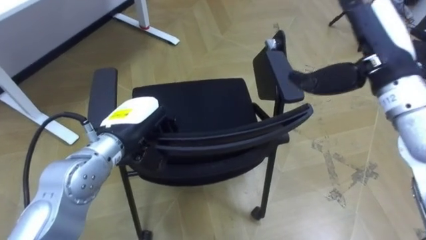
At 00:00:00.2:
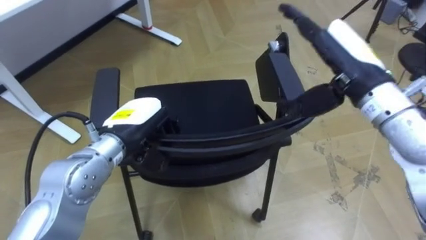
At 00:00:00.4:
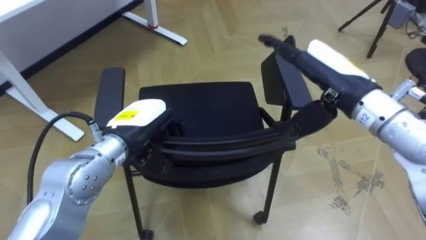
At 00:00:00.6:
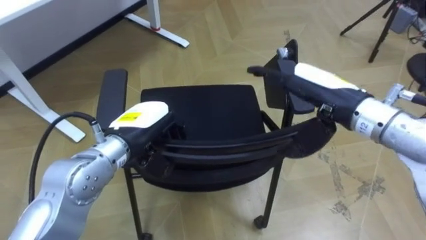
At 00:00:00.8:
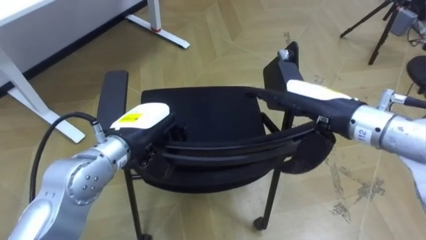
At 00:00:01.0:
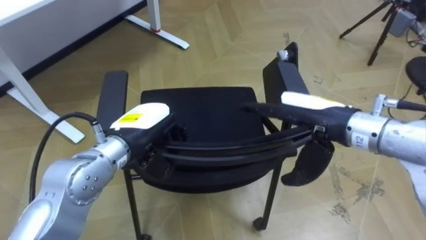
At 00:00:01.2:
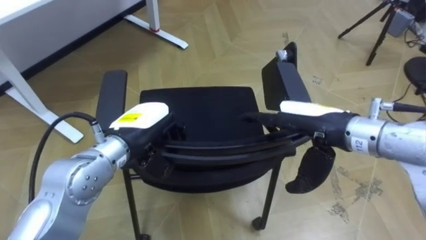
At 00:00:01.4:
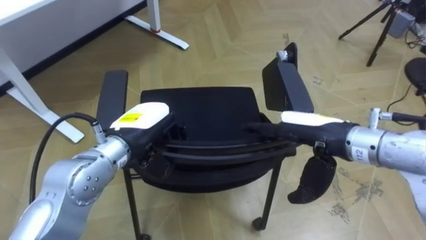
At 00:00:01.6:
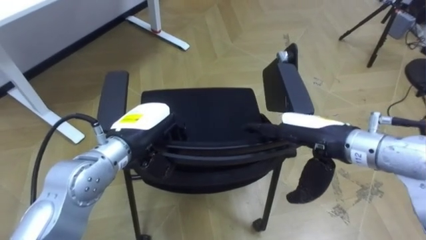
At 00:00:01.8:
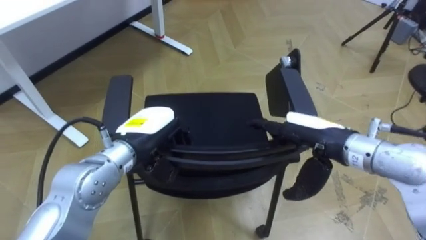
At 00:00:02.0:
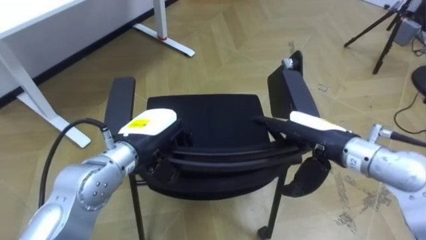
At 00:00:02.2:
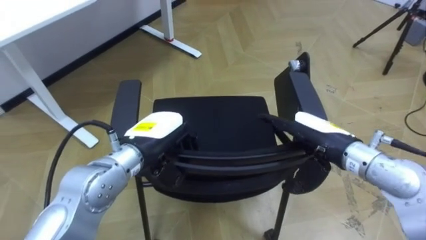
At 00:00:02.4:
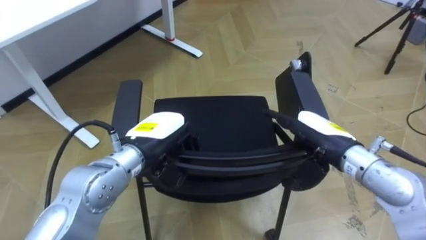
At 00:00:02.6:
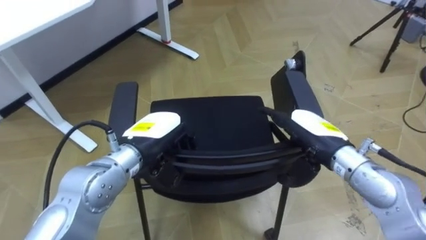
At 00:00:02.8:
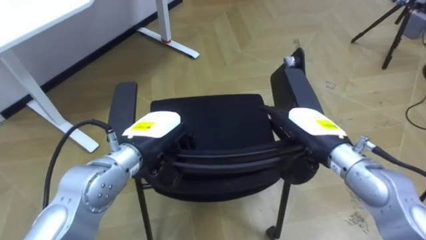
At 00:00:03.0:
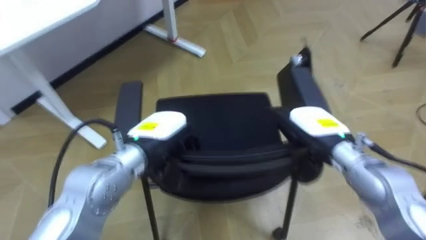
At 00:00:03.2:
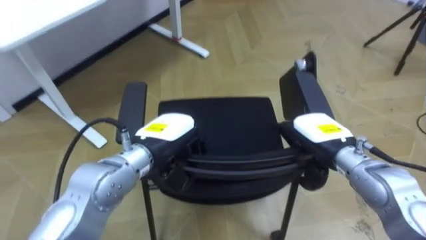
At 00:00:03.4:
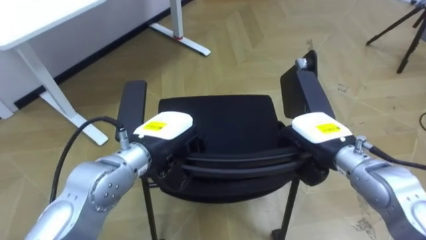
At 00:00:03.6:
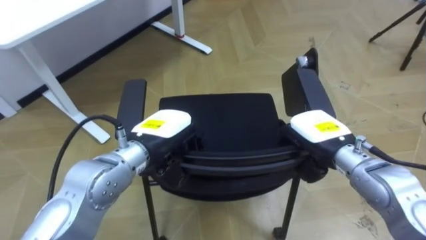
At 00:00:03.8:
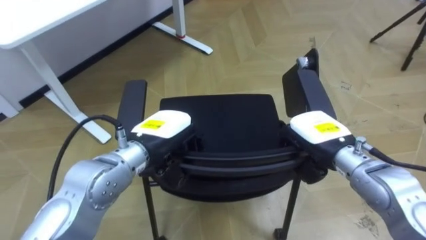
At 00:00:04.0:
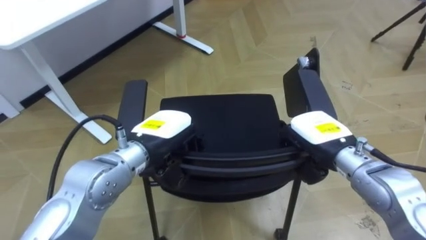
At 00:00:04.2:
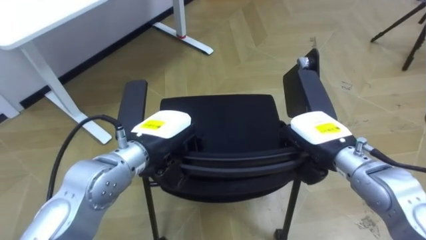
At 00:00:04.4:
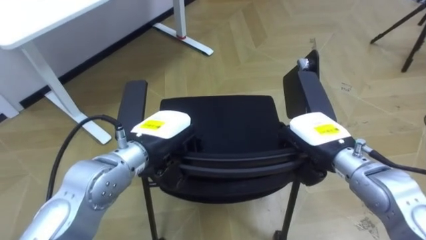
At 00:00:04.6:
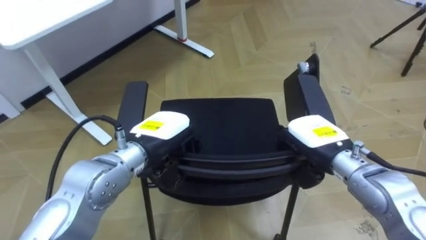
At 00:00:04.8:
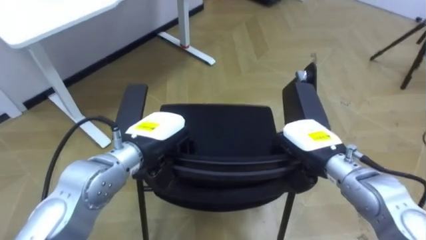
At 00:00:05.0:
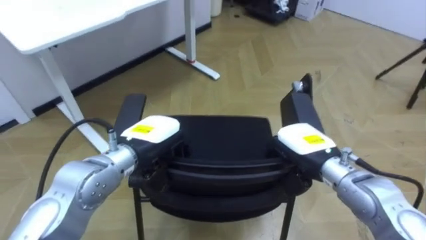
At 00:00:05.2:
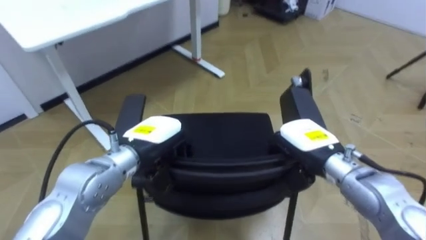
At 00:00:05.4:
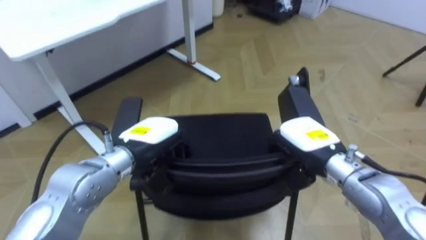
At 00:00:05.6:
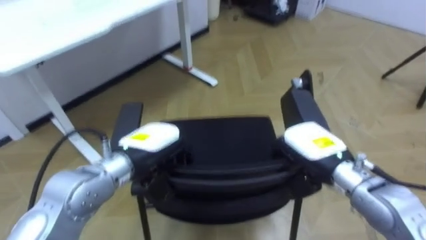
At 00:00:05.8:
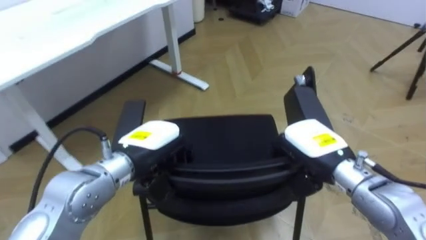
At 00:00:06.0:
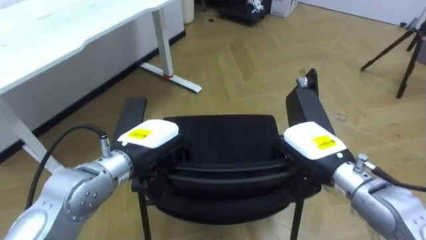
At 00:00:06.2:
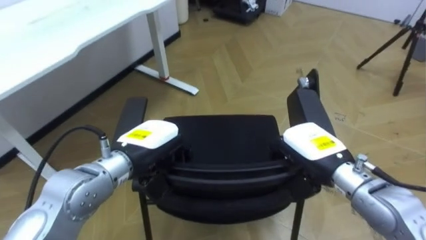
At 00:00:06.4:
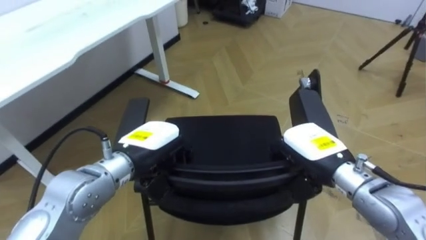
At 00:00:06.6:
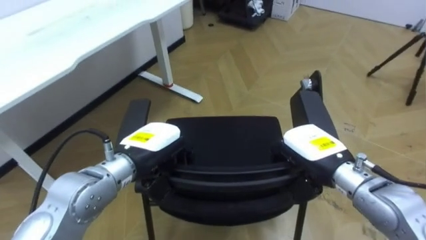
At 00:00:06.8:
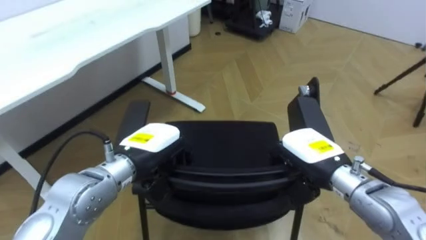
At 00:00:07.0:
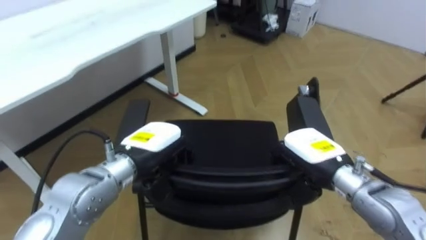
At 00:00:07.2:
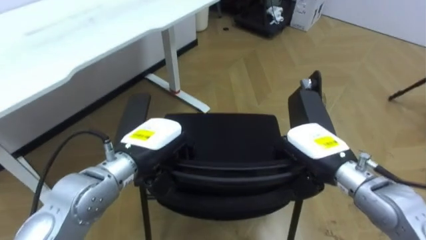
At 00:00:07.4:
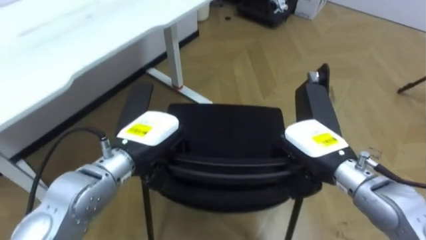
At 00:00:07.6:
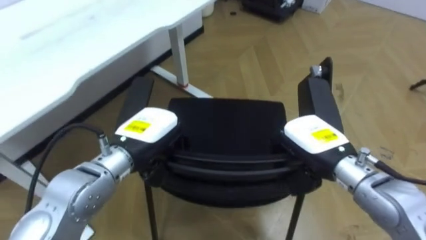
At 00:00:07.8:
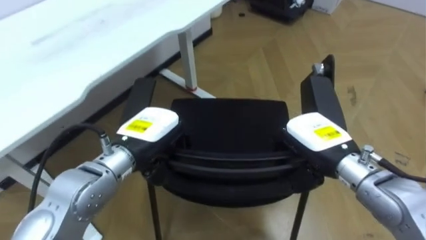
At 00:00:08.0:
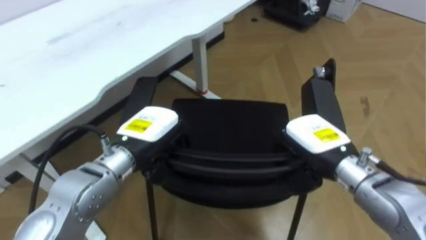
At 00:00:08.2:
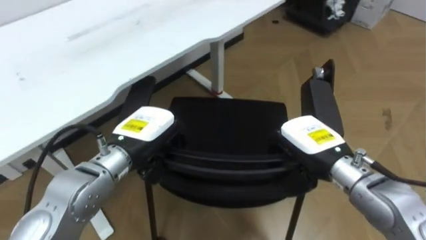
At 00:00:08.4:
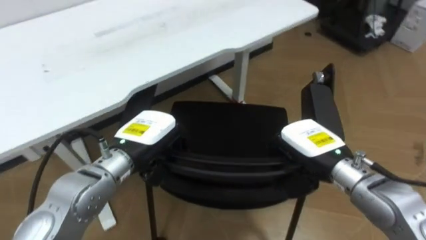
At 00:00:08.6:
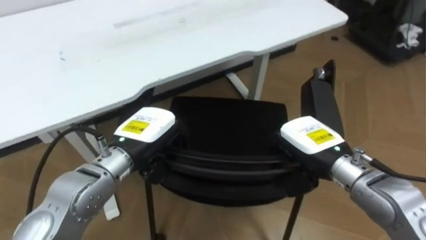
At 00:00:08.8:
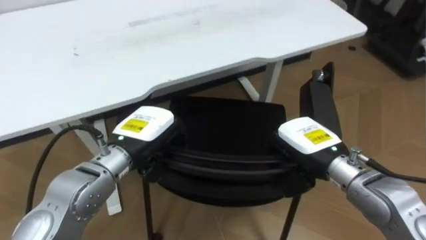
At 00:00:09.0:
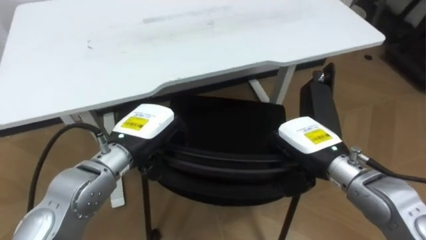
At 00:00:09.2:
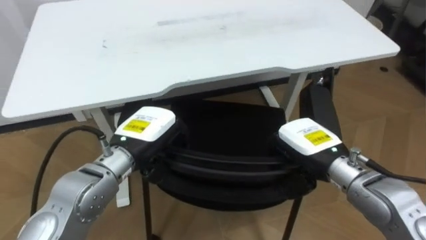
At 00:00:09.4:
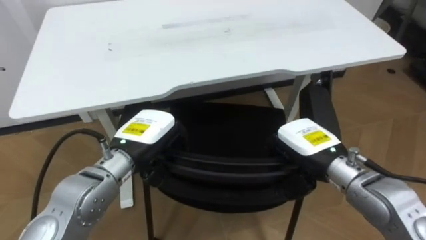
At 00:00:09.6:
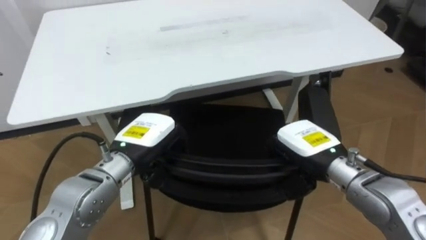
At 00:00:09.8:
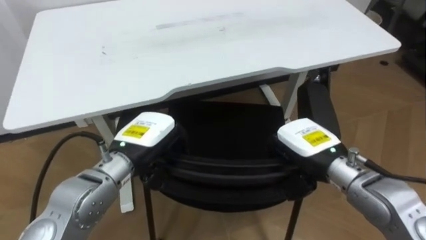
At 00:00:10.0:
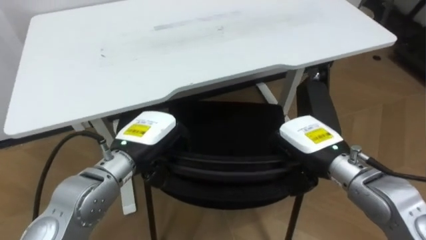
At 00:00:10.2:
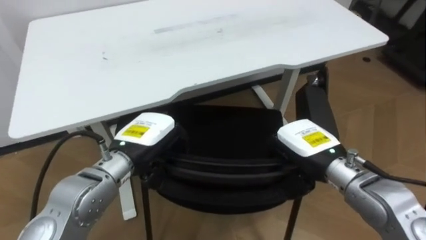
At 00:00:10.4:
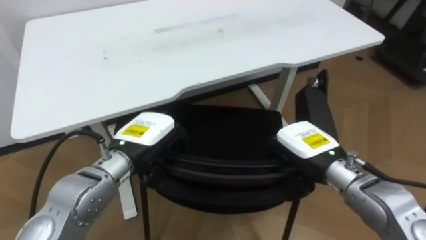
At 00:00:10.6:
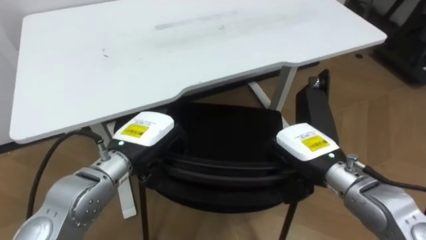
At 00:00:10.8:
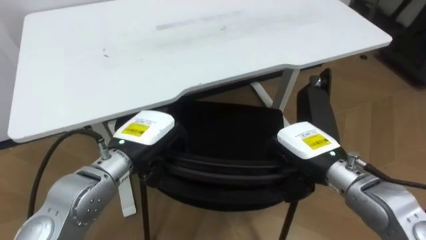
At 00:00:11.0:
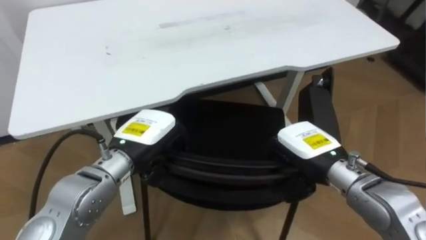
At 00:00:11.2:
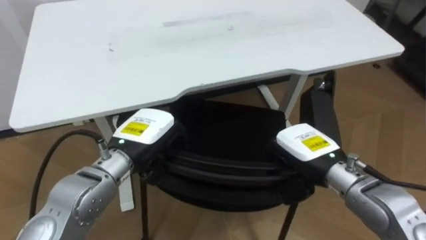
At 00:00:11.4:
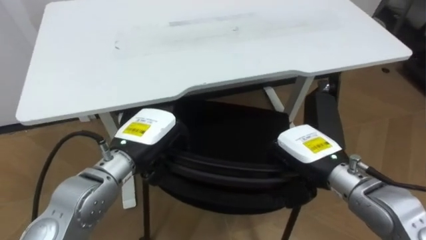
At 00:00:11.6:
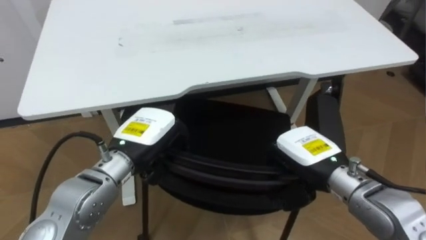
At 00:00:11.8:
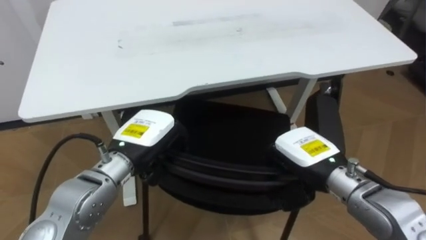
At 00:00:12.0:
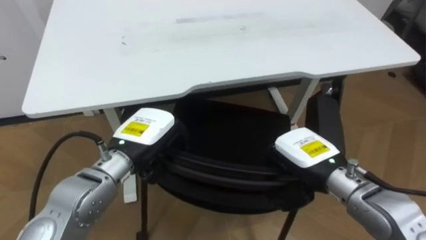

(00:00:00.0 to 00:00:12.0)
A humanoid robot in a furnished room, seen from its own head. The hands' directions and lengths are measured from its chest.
Task of the whole recording: Push the chair under the table.
00:00:00.0 - 00:00:01.6: The right hand goes approximately 15 cm downward, to the left and backward.
00:00:01.6 - 00:00:03.0: The right hand heads downward, covering roughly 5 cm.
00:00:03.0 - 00:00:04.4: The right hand closes its fingers.
00:00:07.6 - 00:00:09.0: The robot rotates roughly 25 degrees to its left.

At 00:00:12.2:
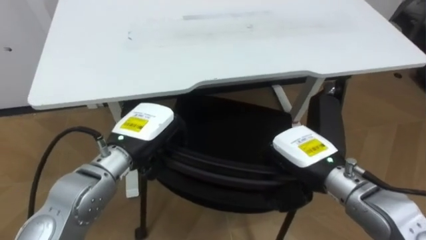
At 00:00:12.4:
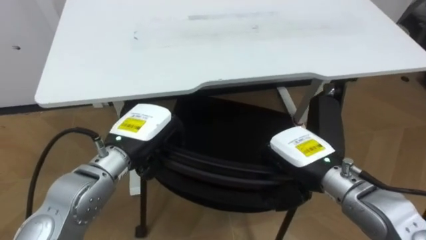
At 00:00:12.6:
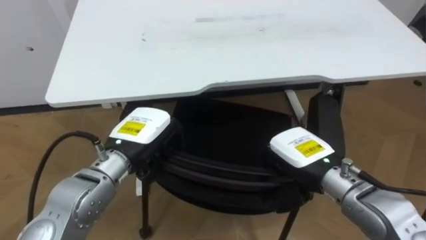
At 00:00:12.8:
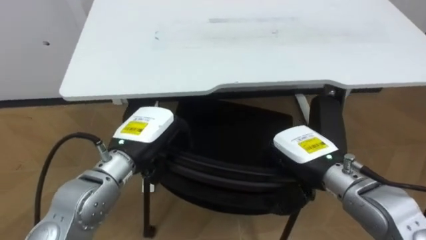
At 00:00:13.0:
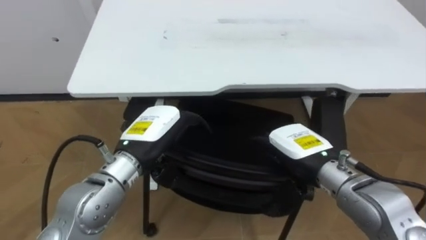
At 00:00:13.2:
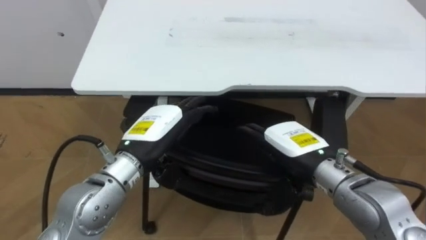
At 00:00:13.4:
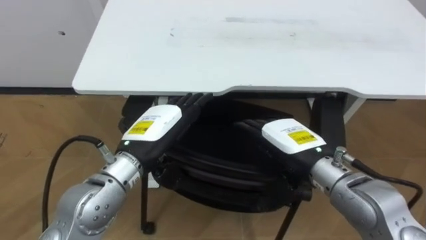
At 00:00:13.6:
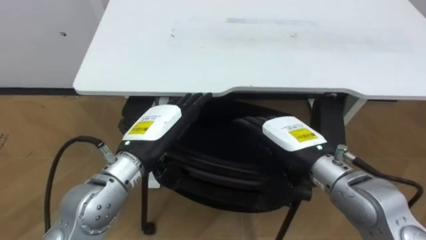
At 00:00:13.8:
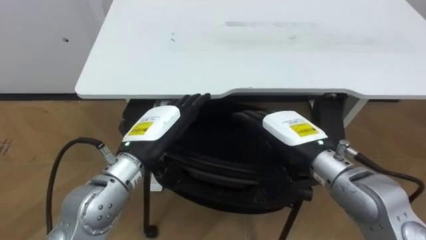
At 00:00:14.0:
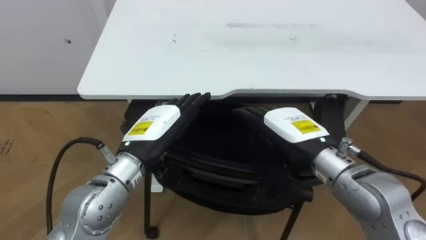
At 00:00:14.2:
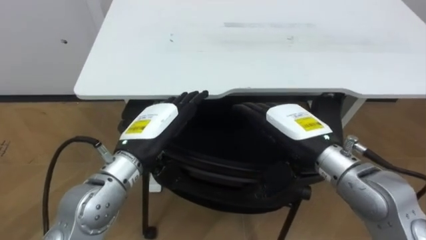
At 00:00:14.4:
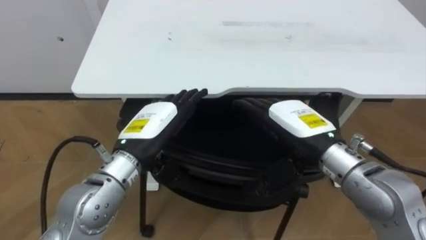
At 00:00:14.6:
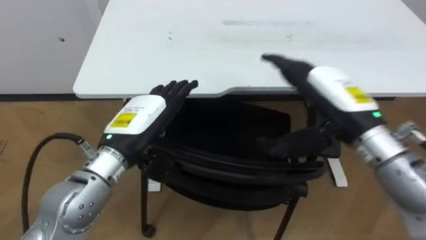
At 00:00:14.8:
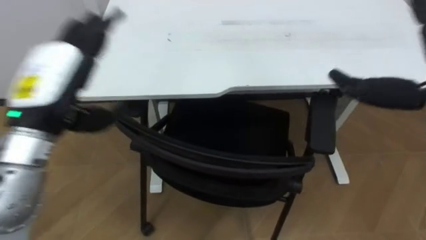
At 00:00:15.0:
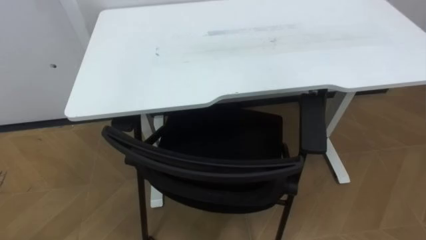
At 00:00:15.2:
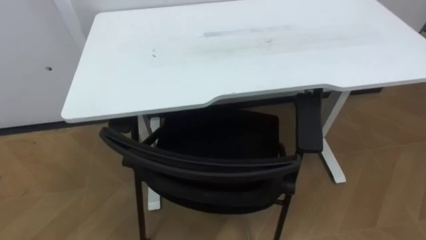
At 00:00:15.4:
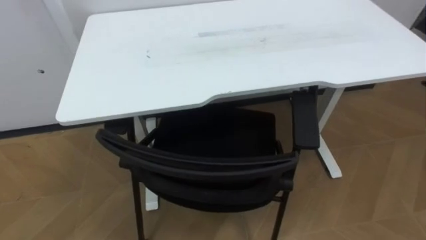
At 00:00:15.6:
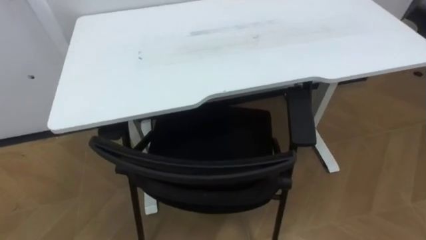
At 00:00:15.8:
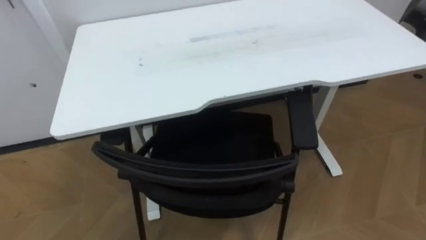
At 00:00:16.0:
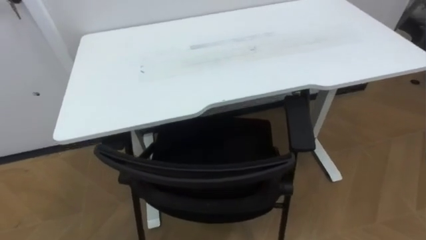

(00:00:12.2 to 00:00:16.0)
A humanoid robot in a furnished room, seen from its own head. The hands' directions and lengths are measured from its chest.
Task of the whole recording: Push the chair under the table.
00:00:12.2 - 00:00:13.4: The left hand opens. The right hand opens.
00:00:13.4 - 00:00:14.8: The left hand shifts approximately 15 cm to the left and upward.
